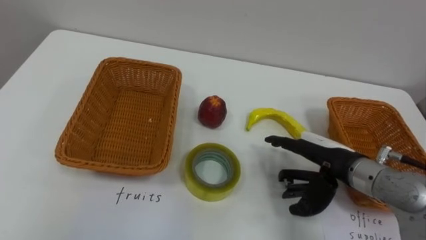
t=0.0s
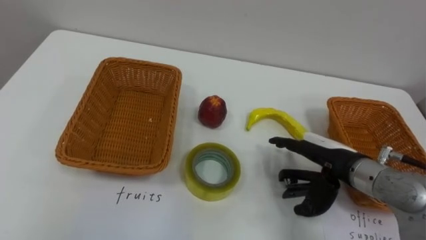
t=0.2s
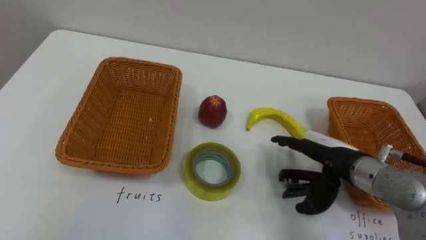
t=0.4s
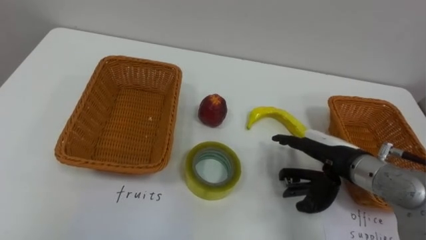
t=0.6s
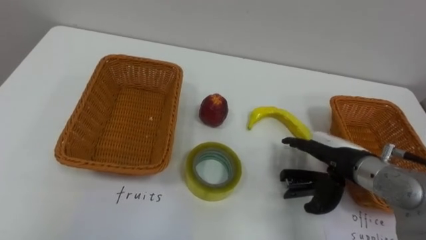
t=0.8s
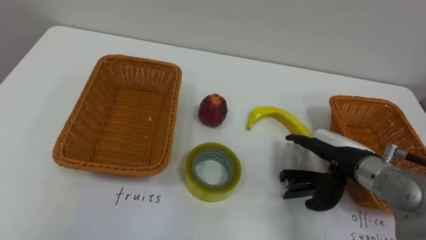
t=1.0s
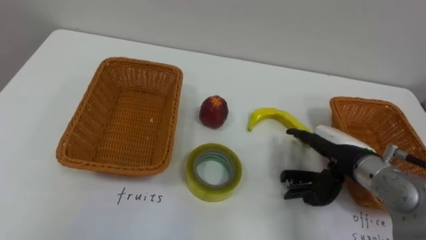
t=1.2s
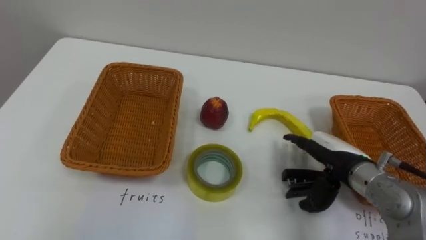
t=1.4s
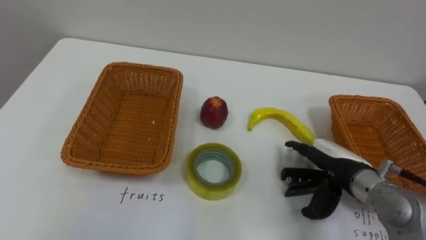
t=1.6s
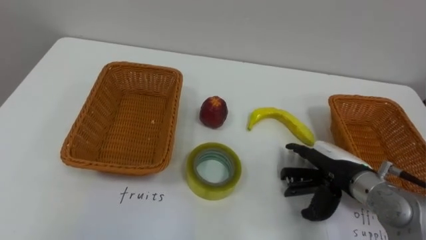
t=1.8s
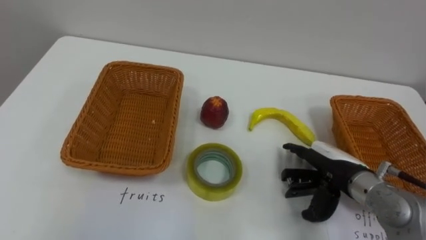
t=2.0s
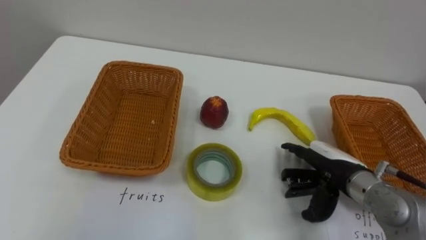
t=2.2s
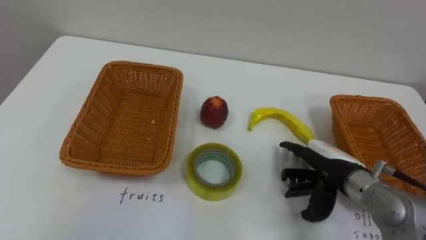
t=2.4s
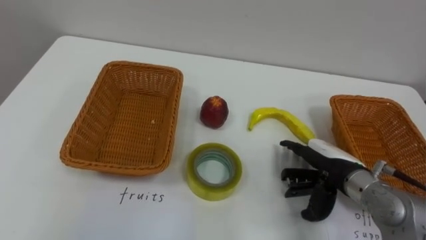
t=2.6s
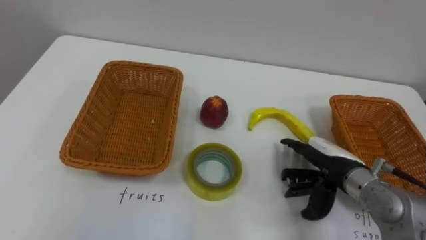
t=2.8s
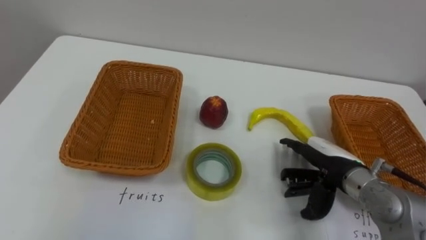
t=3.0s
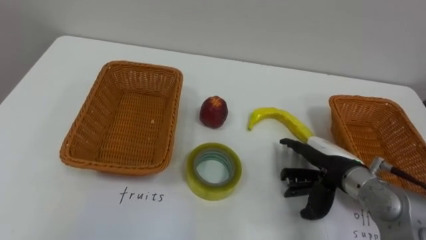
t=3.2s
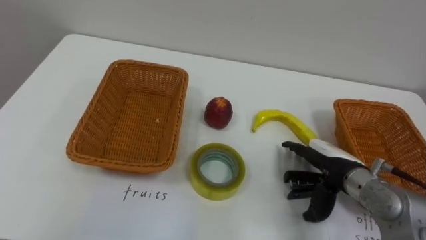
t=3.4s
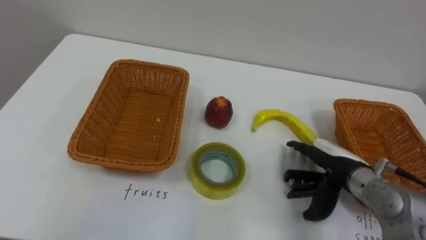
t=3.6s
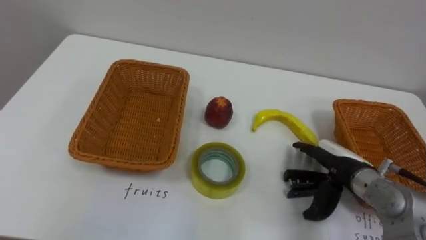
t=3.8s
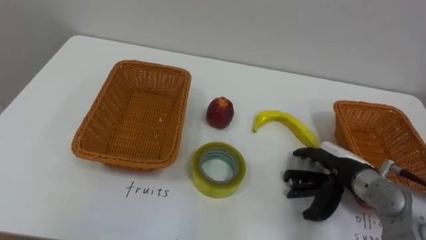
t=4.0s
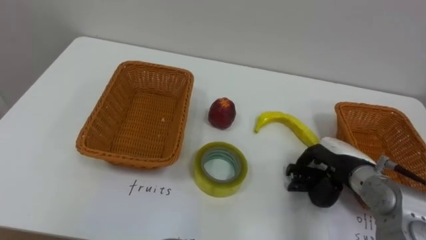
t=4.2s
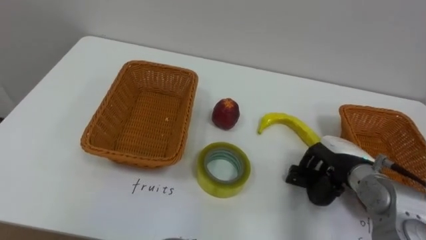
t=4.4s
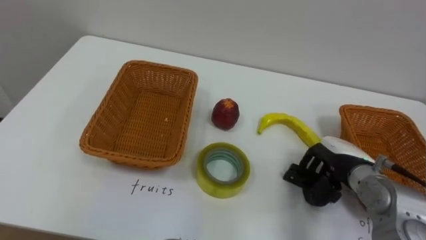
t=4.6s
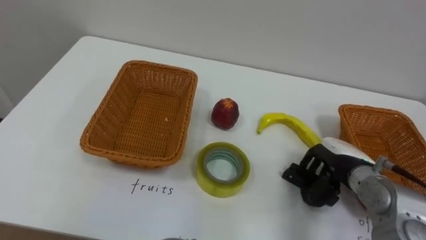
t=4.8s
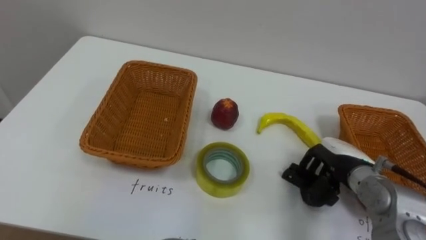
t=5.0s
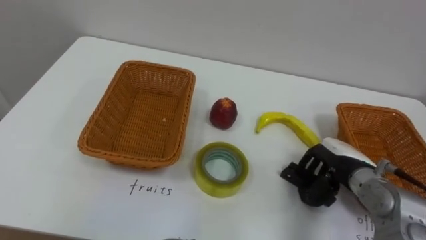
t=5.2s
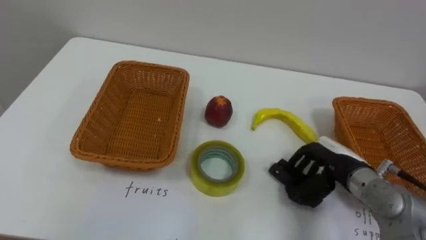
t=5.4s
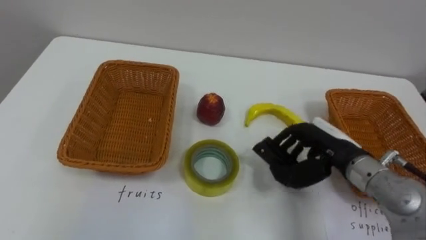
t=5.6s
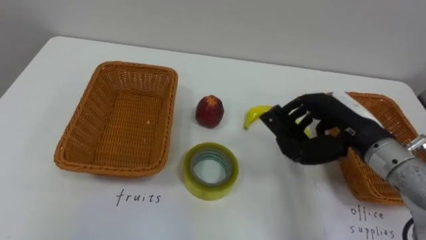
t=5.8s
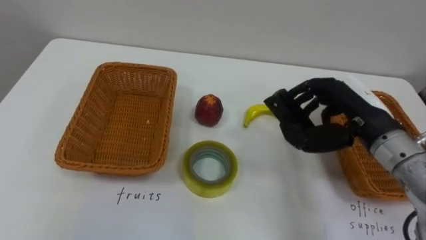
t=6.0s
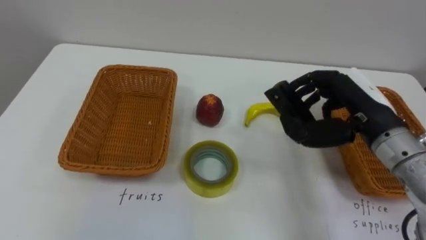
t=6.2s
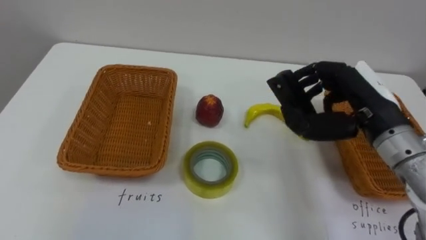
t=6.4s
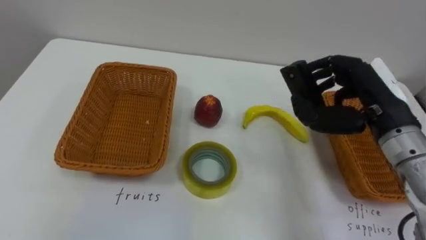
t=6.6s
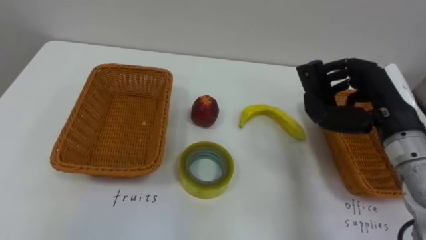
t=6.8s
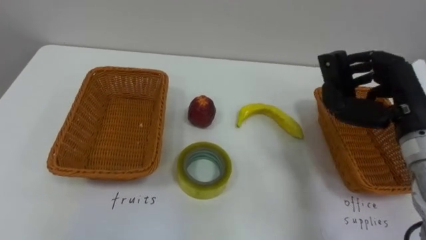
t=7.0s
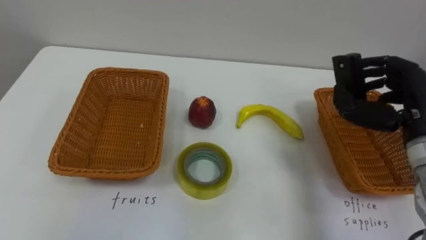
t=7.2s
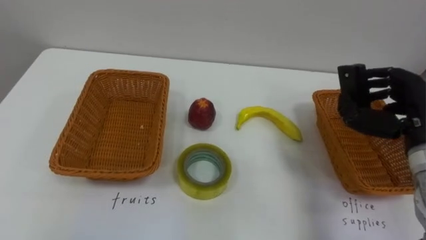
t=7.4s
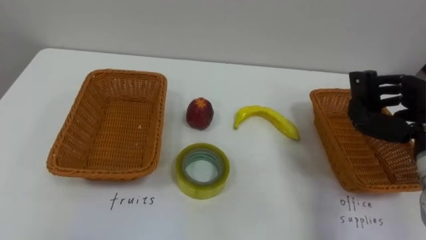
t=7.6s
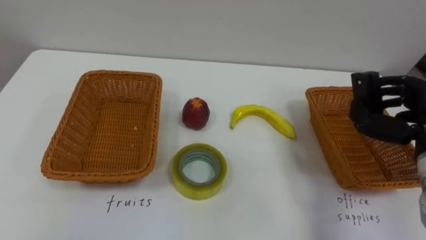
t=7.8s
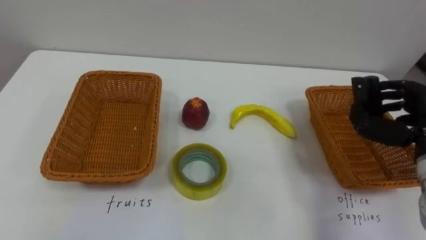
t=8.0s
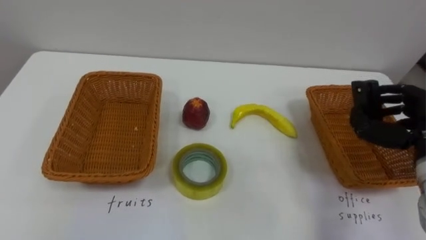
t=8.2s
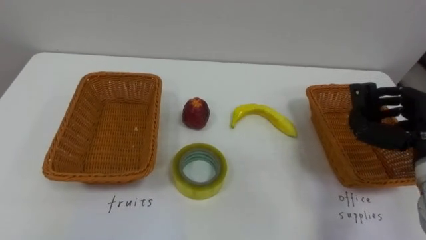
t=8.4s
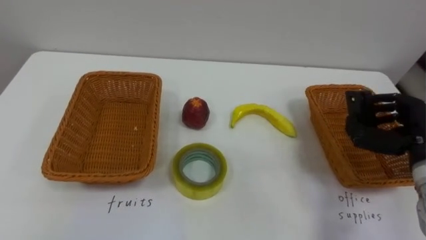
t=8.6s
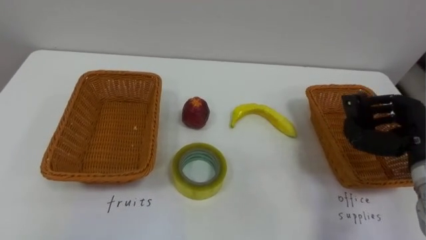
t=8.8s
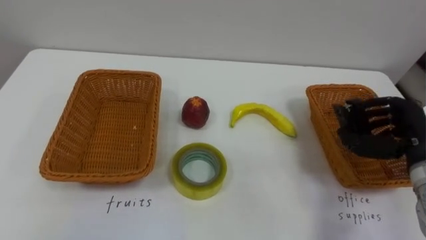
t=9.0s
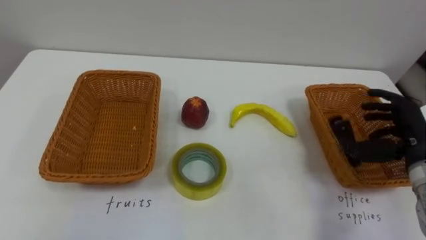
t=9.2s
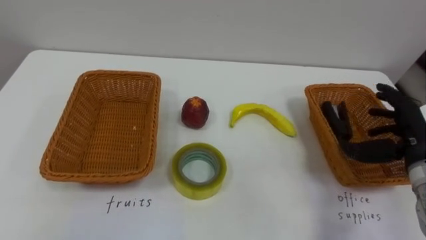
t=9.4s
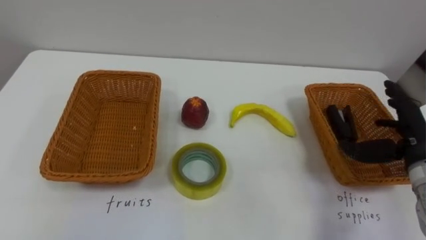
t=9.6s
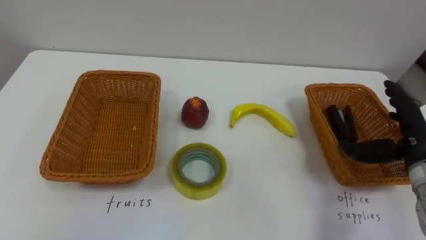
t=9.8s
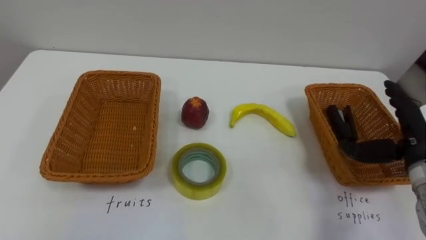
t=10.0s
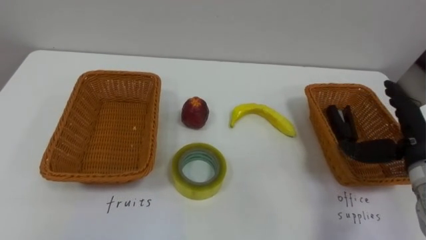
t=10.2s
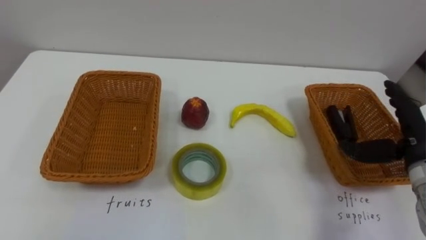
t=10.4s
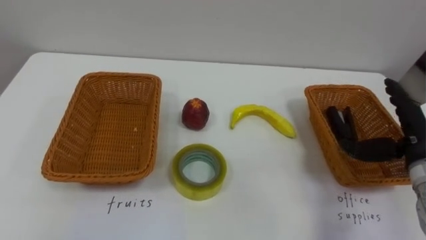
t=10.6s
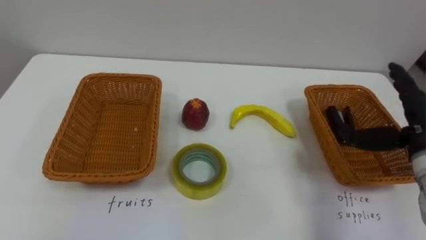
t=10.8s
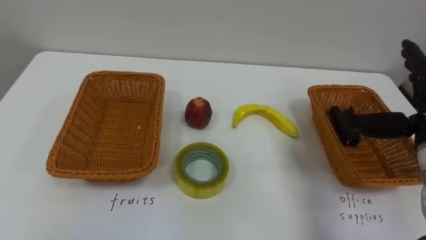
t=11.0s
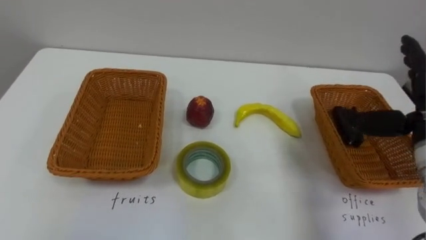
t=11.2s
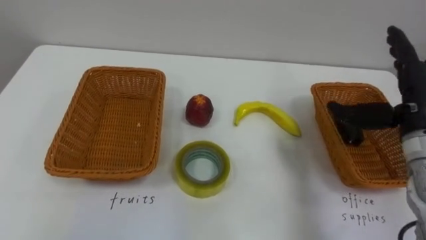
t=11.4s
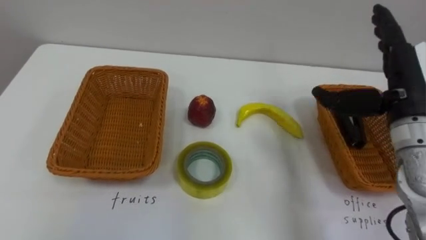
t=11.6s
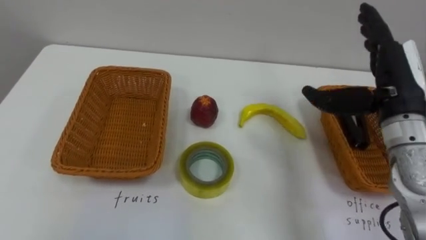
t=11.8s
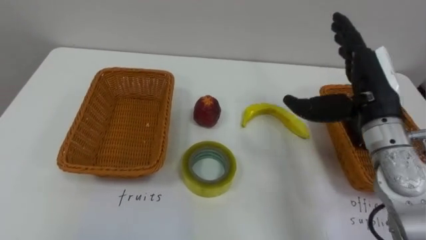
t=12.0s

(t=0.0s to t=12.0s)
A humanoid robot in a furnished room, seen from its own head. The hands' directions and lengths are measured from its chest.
Task of the whole recording: Separate the items on the table and place them into the two baskets.
t=3.0s - t=4.4s: The right hand closes.
t=4.4s - t=6.0s: The right hand heads upward, covering approximately 15 cm.
t=6.0s - t=7.6s: The right hand goes some 10 cm to the right.
t=9.0s - t=10.4s: The right hand opens up.
t=10.4s - t=12.0s: The right hand is displaced to the left and upward by approximately 15 cm.

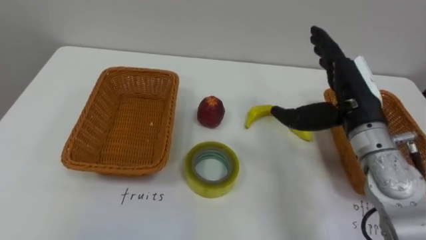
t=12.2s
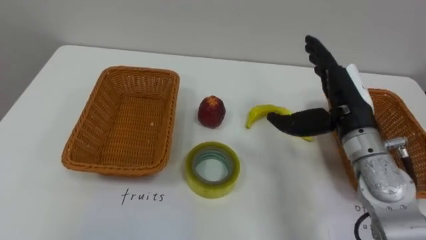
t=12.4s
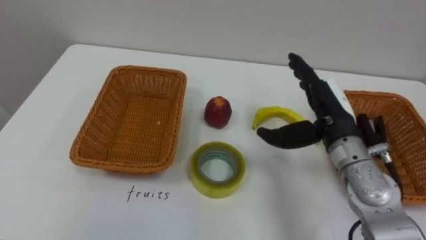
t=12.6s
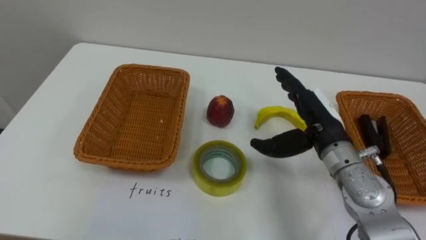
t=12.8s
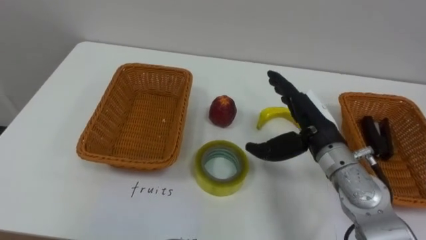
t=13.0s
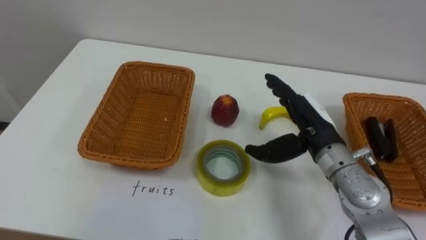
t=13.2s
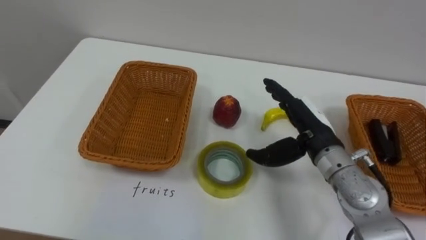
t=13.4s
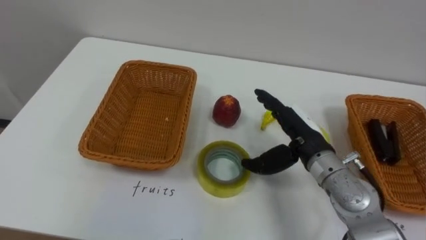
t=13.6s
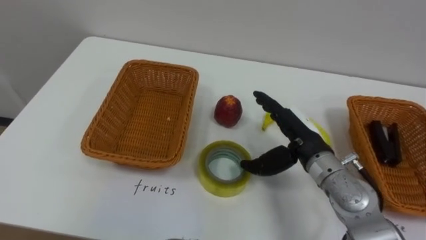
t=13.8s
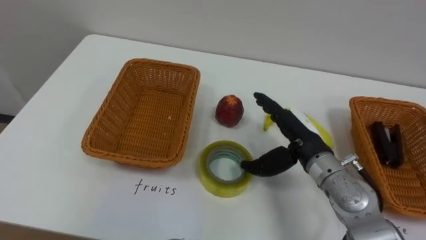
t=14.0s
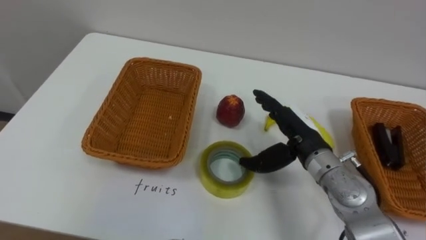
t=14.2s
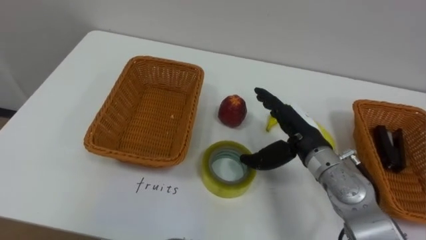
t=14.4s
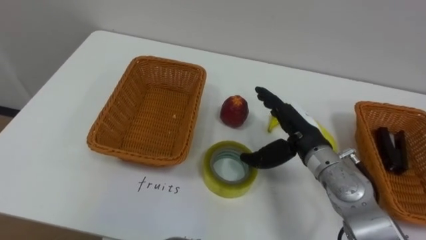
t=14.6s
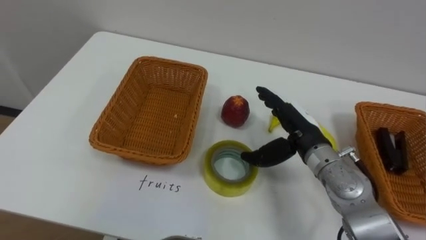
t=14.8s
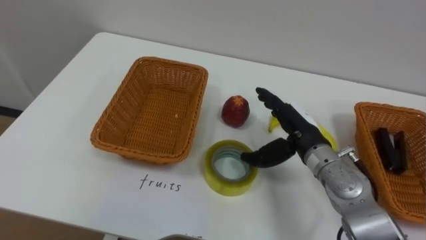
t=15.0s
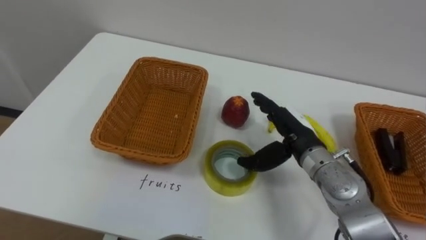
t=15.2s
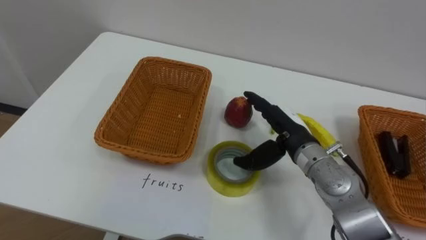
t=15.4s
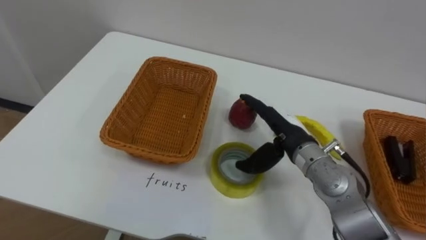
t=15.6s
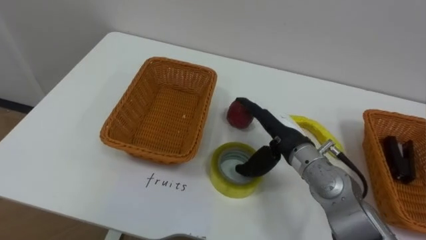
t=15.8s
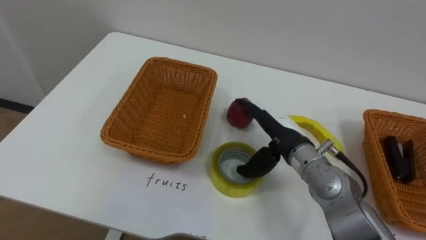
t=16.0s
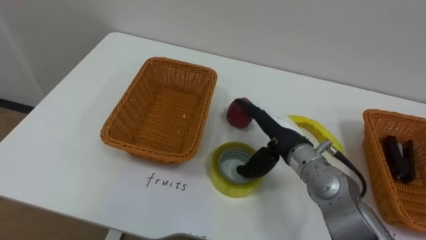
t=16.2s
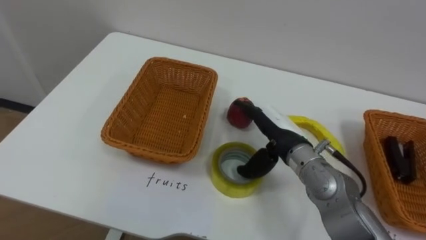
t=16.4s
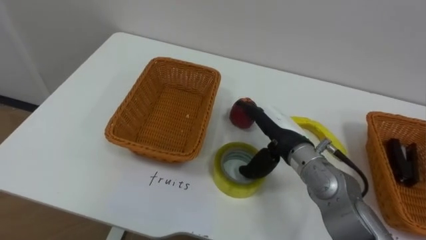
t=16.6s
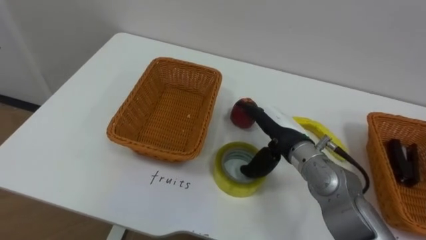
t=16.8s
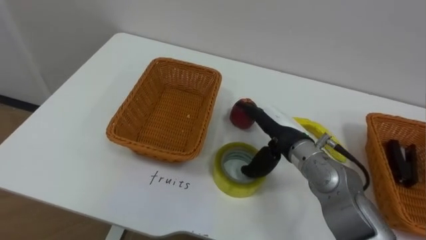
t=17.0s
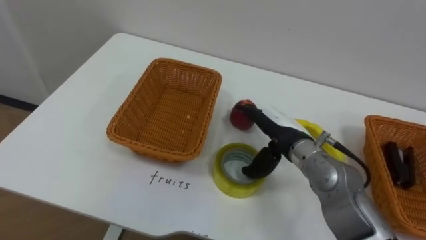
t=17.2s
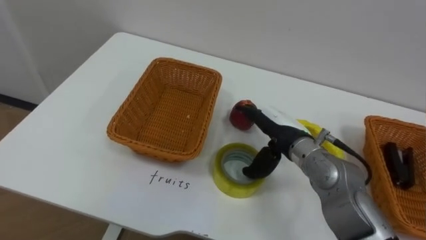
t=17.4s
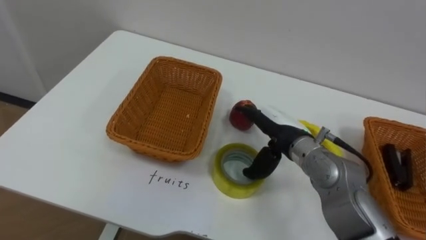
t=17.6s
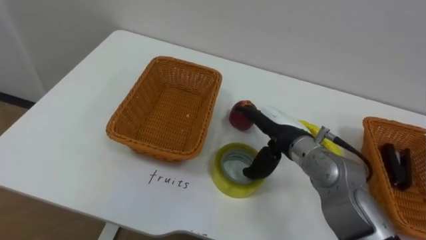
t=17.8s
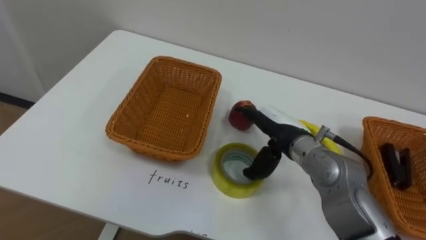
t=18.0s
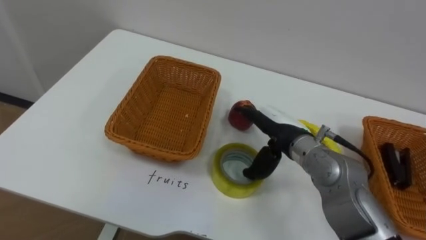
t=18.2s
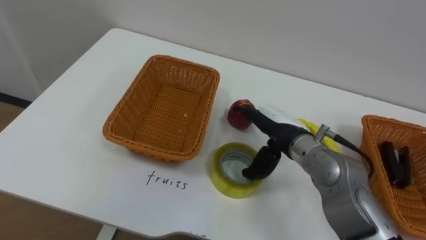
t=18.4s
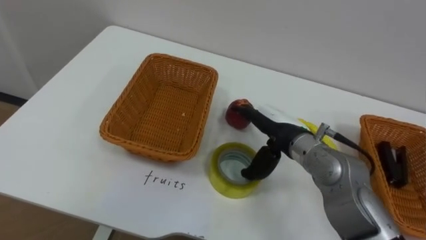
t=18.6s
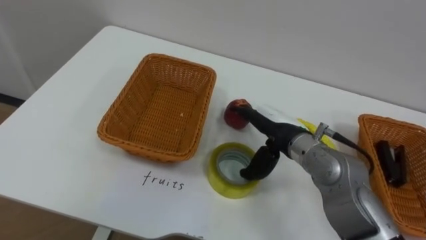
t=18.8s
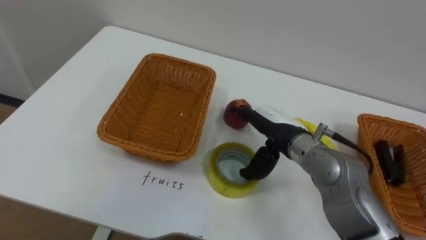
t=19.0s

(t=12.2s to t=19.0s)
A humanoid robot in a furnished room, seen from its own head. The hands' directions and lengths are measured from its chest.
Task of the whole recording: Separate the items on the table and place them into the two baskets.
t=12.2s - t=13.6s: The right hand travels downward and to the left by about 10 cm.
